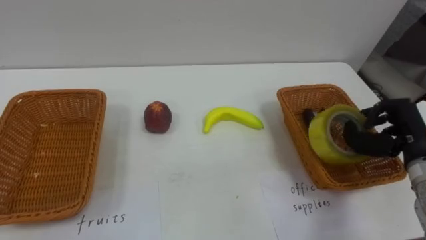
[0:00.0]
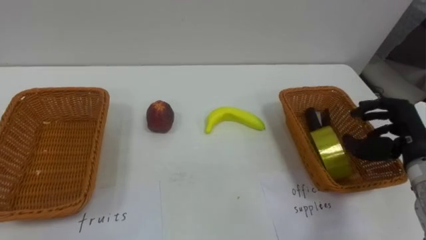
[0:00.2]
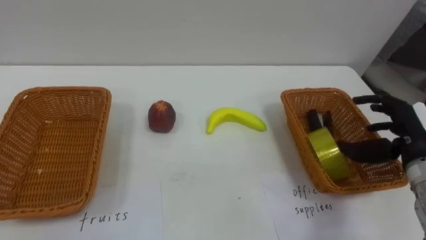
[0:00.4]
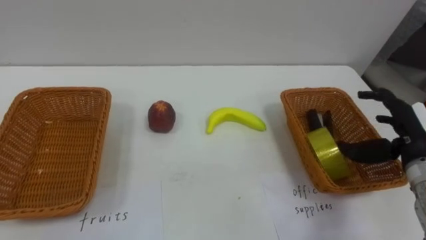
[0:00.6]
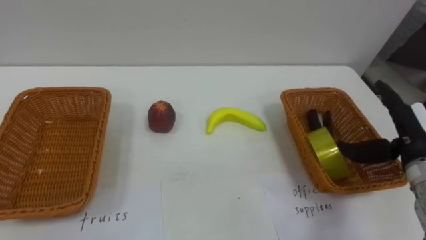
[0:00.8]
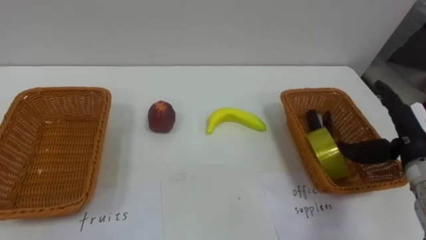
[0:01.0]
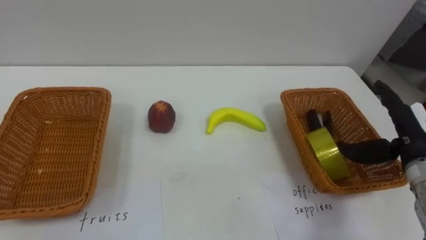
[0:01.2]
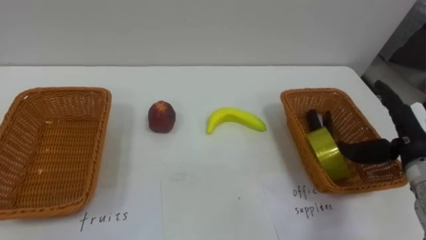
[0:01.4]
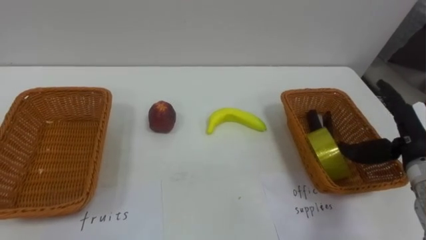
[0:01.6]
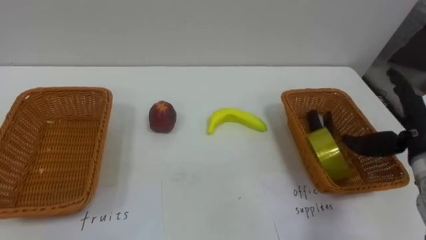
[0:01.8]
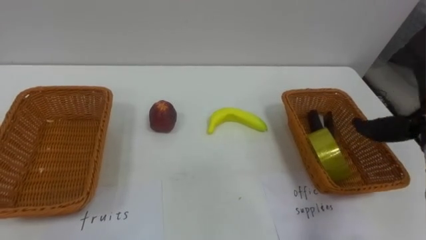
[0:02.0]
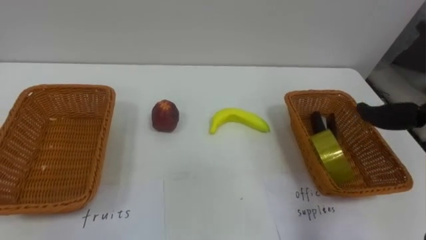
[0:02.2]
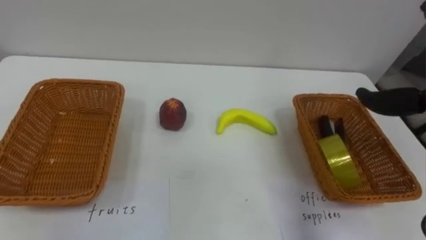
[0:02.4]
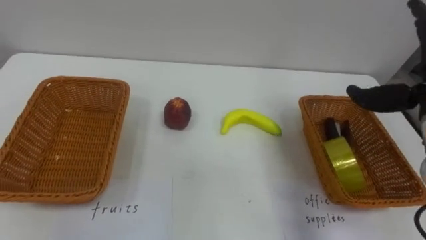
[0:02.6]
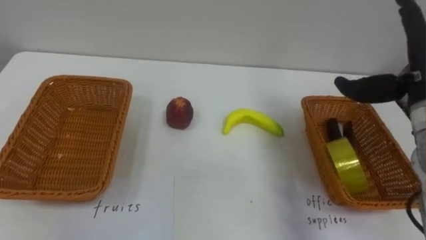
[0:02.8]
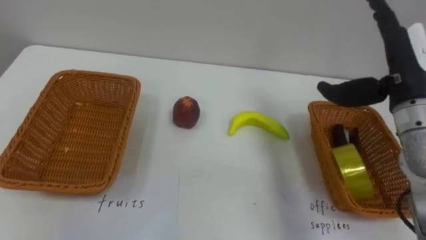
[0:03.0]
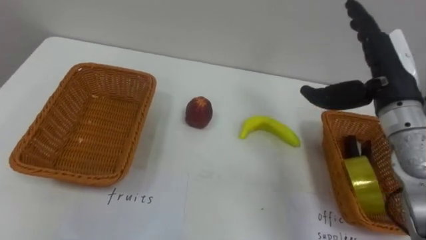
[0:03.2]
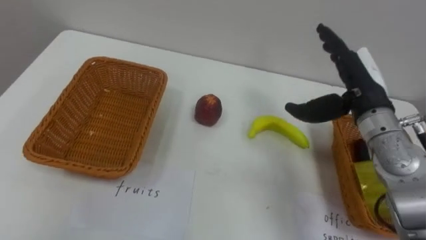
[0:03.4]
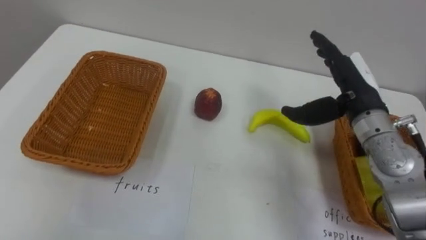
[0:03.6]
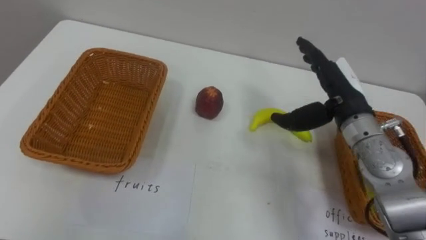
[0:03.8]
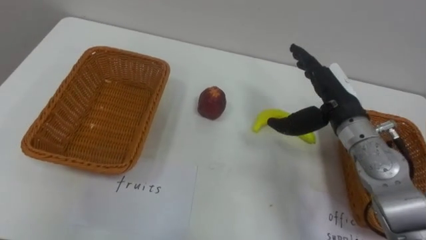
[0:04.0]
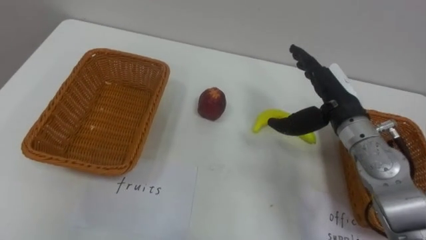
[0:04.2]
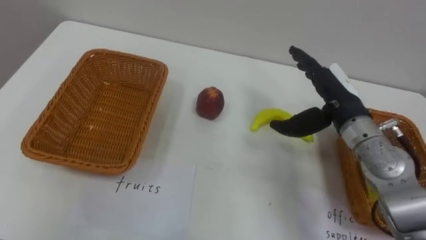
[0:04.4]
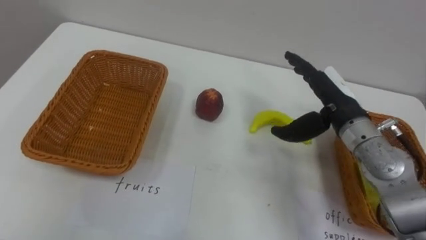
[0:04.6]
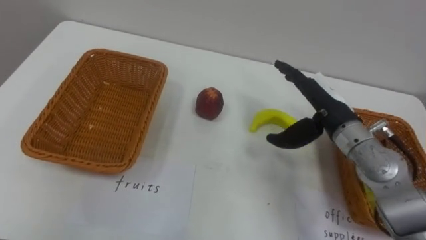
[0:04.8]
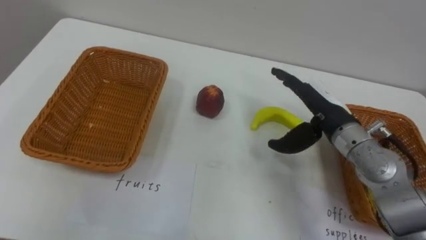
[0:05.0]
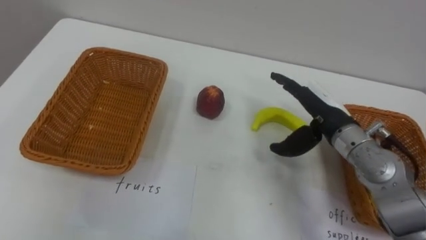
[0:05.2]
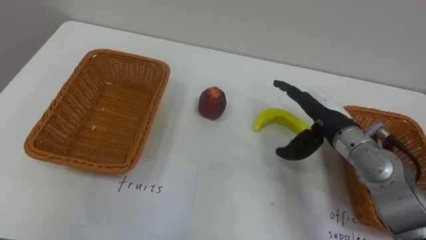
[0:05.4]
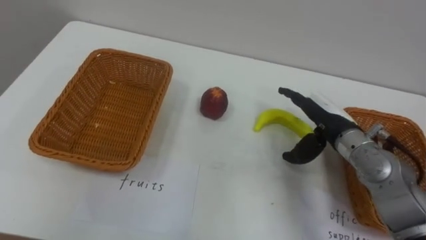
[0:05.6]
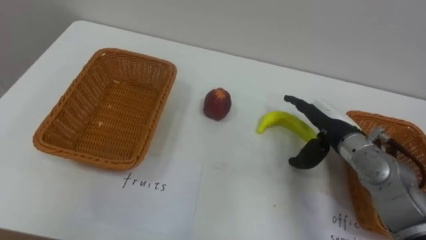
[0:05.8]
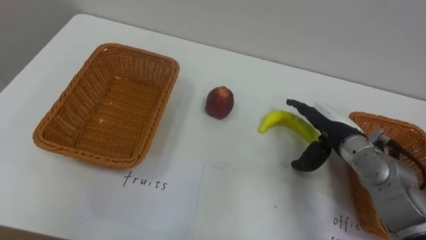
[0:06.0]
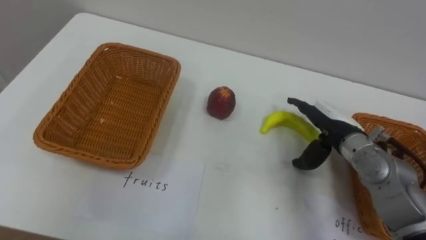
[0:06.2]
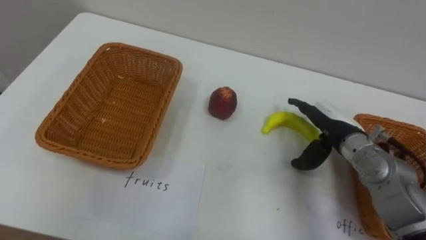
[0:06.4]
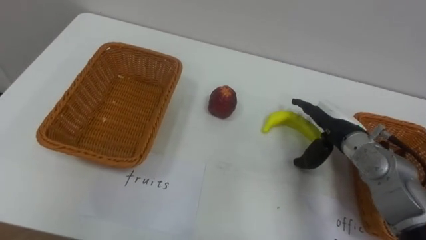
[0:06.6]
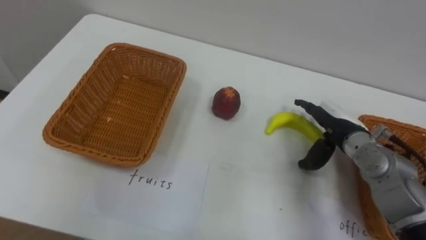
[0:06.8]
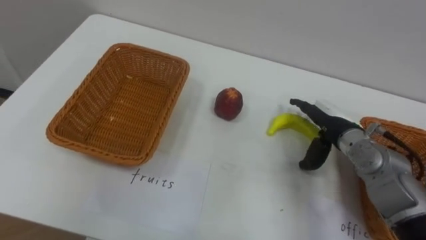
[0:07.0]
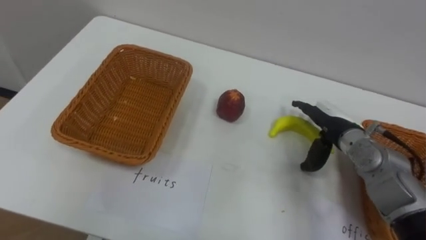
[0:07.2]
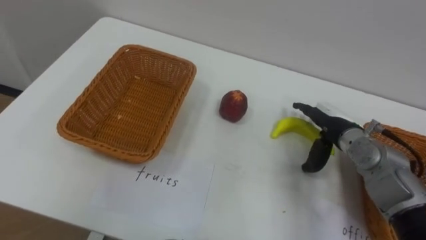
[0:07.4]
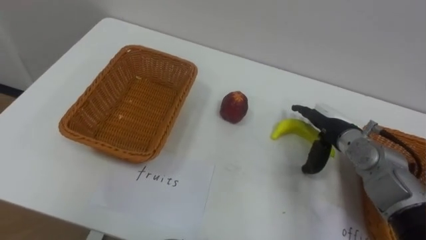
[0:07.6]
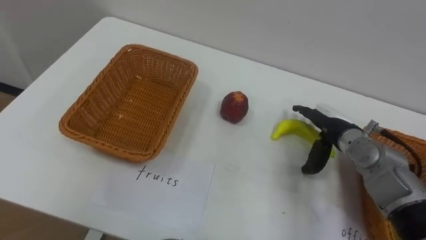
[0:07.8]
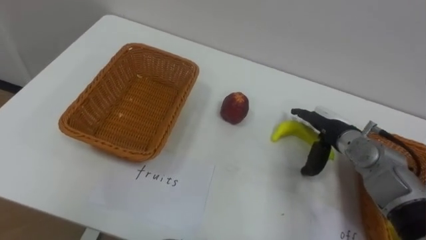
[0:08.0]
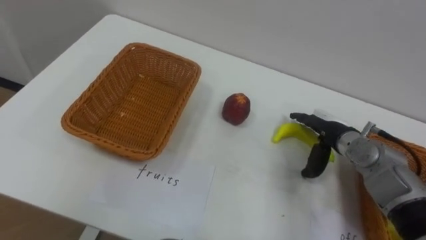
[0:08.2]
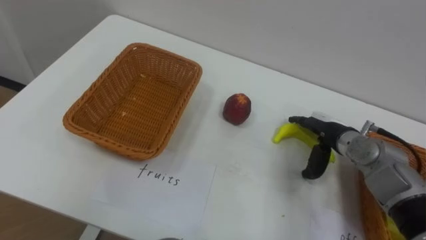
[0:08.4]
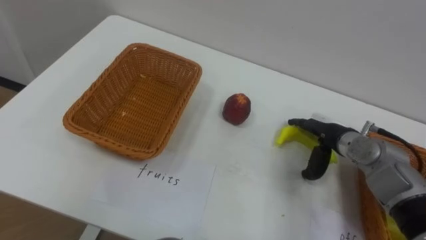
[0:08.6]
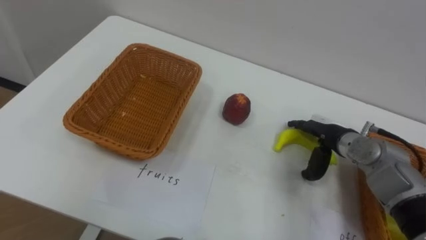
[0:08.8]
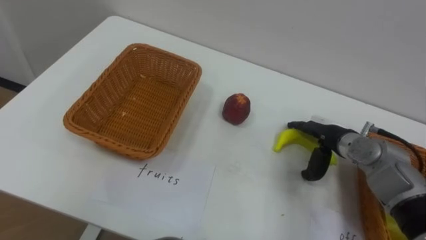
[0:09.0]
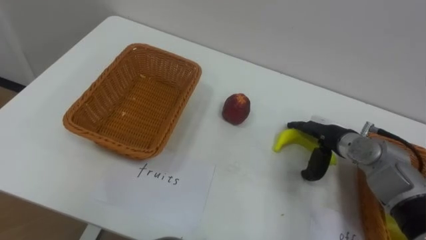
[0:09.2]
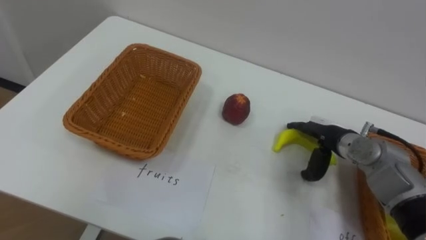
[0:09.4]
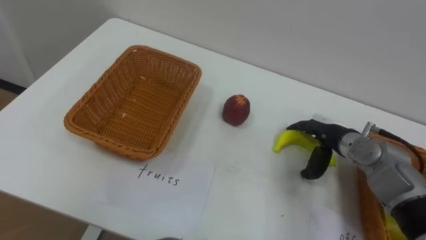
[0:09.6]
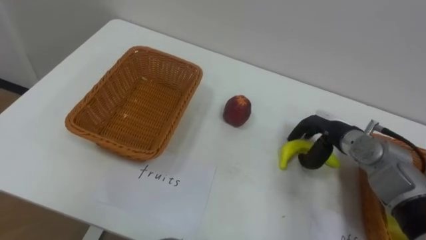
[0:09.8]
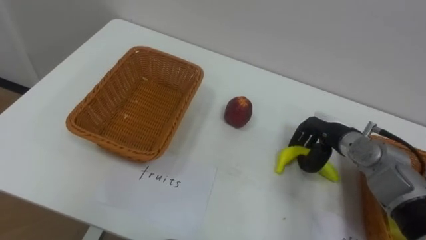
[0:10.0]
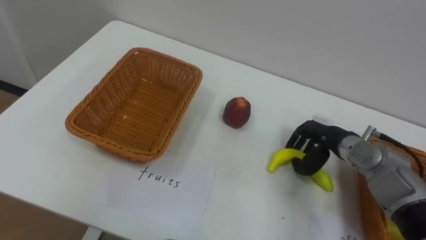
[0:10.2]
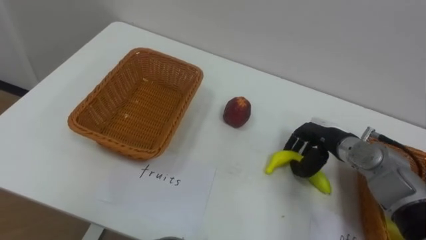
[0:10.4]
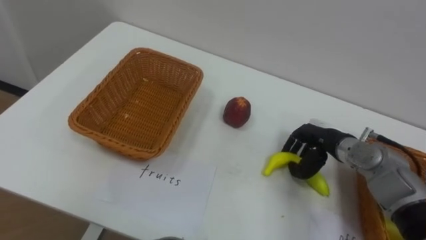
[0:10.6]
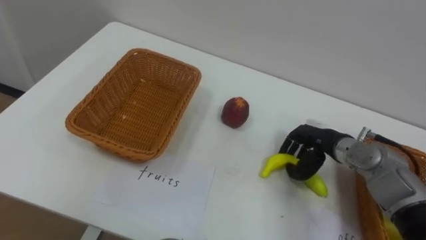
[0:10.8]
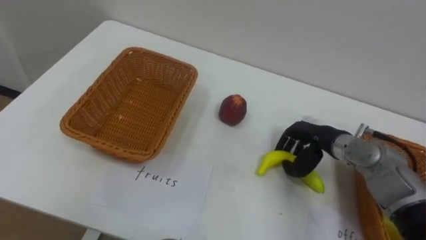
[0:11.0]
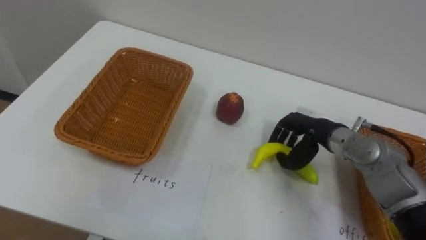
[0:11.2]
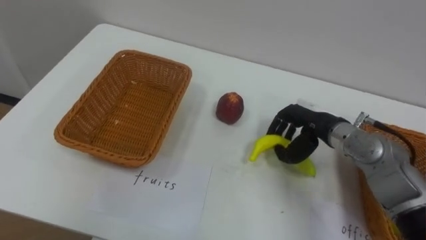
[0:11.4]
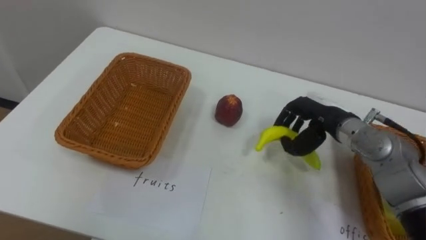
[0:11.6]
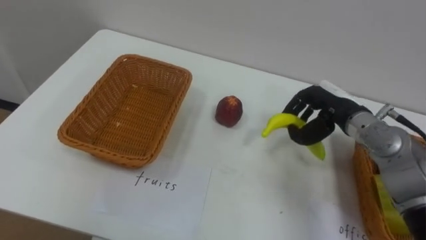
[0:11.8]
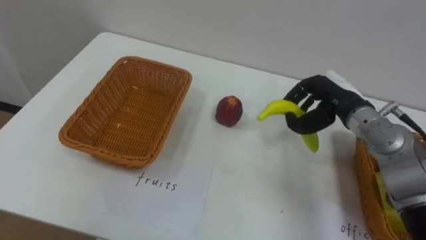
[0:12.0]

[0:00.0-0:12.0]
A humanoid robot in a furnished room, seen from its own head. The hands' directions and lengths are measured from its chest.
Task of the whole recording: Separate the items on the table and place them into the two baskets.
0:00.0 to 0:01.6: The right hand opens up.
0:03.0 to 0:04.4: The right hand moves downward and to the left, approximately 10 cm.
0:04.4 to 0:06.0: The right hand is displaced downward by roughly 5 cm.
0:09.0 to 0:10.4: The right hand closes.
0:10.4 to 0:12.0: The right hand moves upward, roughly 10 cm.

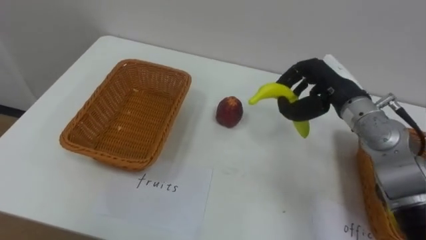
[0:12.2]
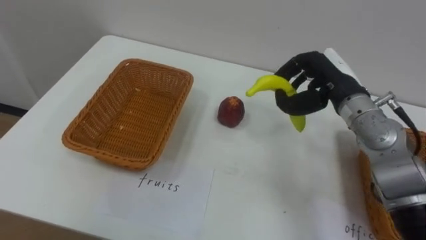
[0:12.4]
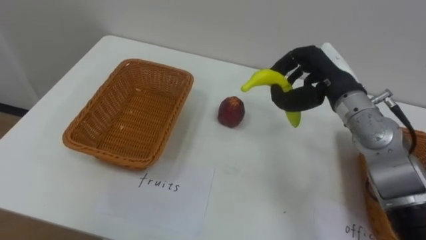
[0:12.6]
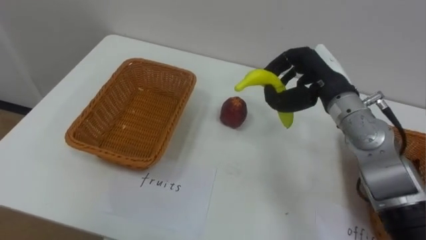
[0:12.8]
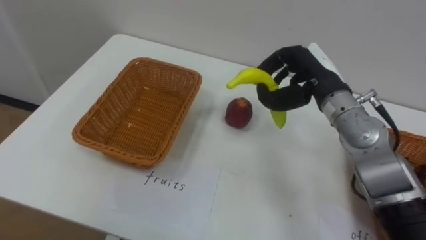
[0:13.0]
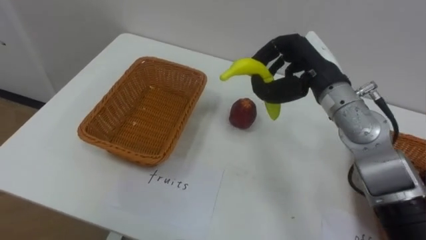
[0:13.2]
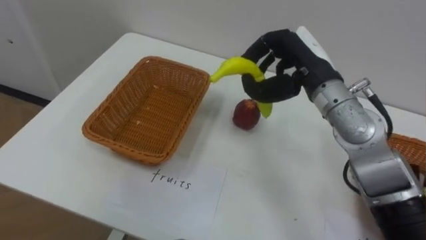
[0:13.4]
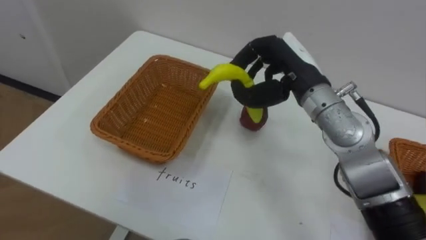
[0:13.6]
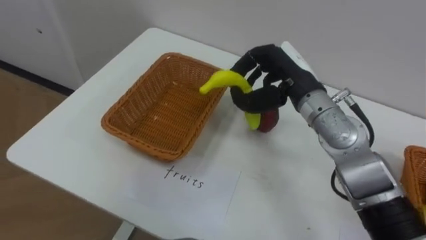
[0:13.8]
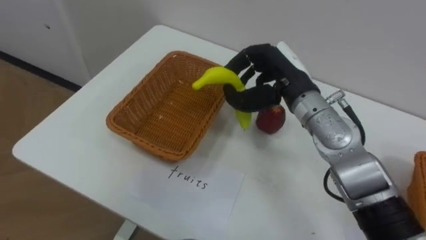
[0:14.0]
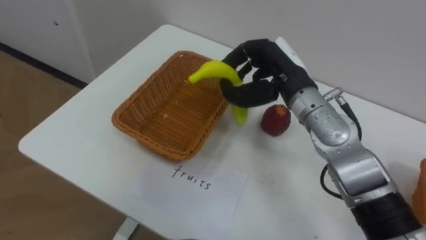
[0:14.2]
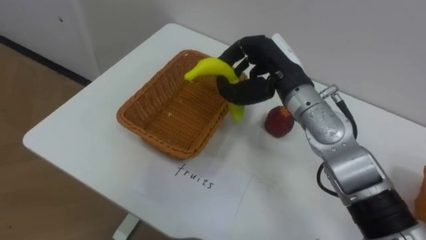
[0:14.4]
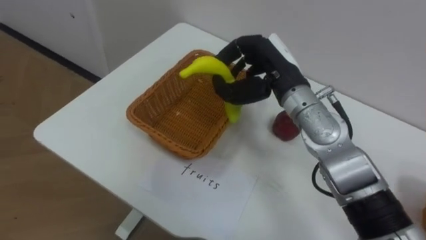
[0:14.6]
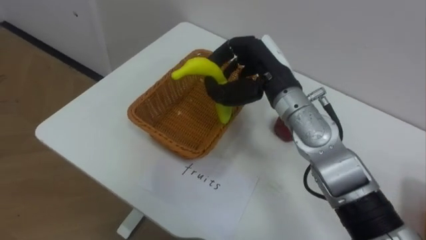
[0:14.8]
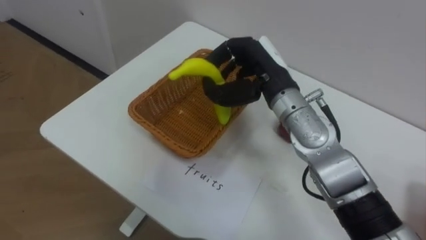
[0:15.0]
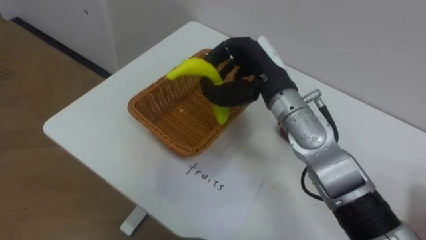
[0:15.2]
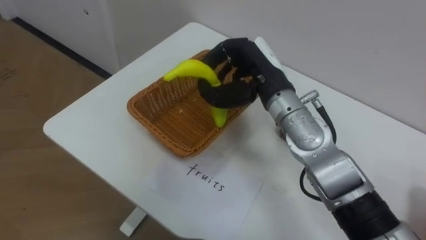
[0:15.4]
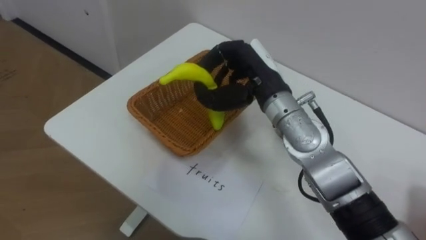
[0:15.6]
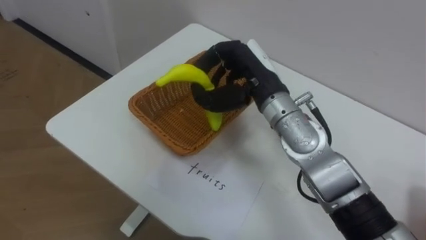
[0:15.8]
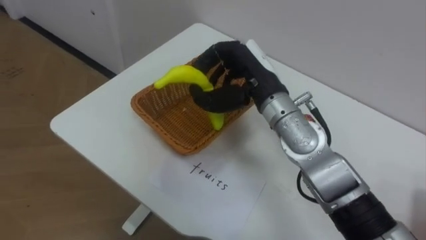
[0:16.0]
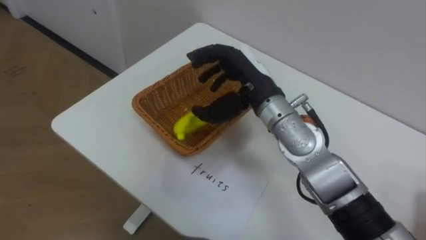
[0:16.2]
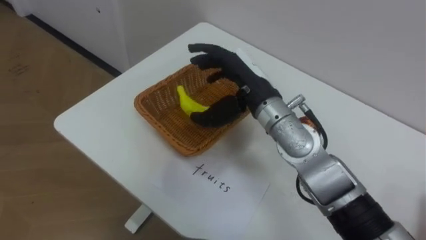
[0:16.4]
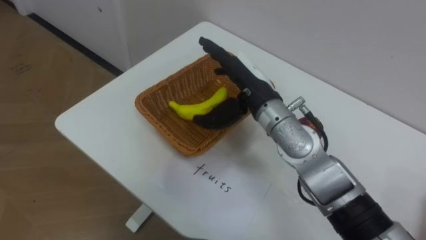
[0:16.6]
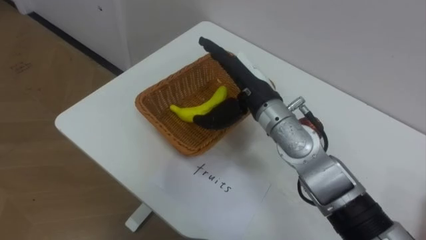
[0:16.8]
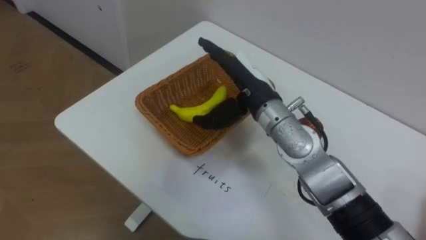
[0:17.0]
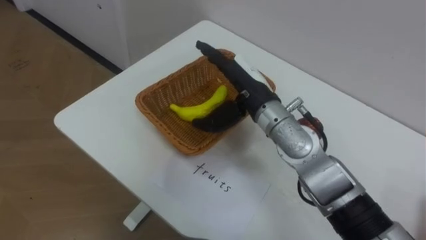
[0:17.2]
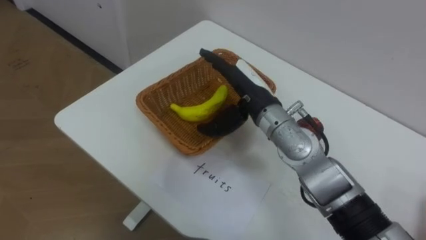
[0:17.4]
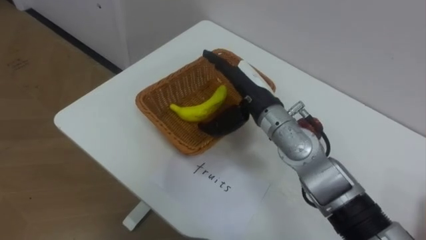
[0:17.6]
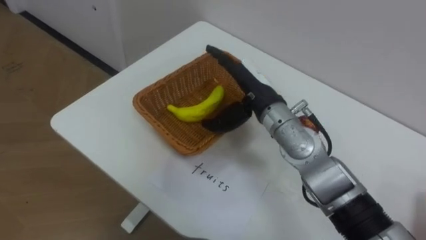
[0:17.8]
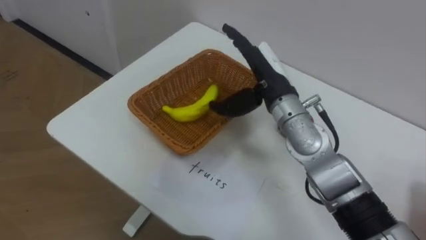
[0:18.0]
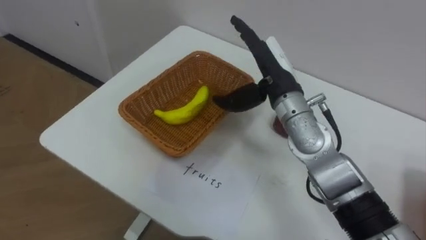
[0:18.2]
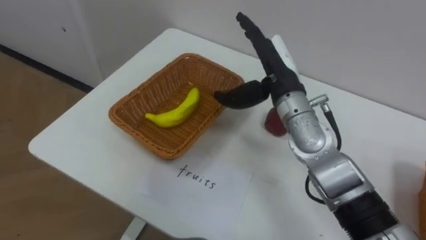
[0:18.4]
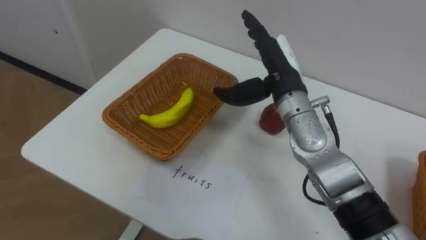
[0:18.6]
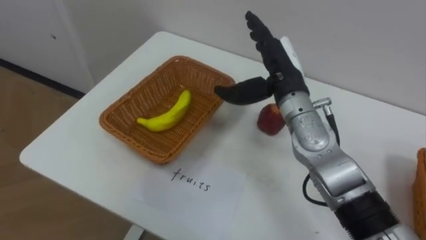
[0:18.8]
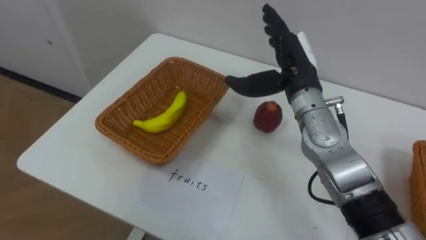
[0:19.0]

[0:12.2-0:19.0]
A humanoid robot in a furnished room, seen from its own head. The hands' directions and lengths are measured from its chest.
Task of the whole recording: Separate the items on the table and place them into the two baskets.
0:12.2 to 0:13.6: The right hand travels to the left and upward by roughly 10 cm.
0:16.2 to 0:17.6: The right hand opens.
0:17.6 to 0:19.0: The right hand moves to the right, some 5 cm.
